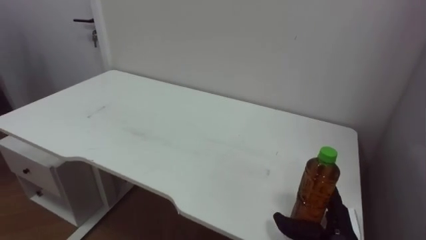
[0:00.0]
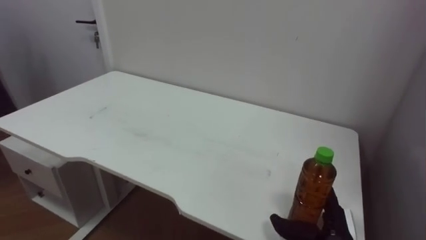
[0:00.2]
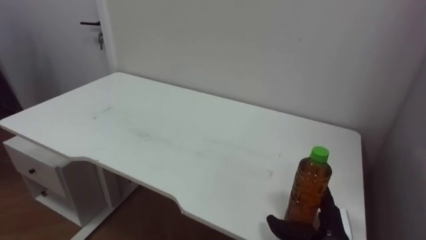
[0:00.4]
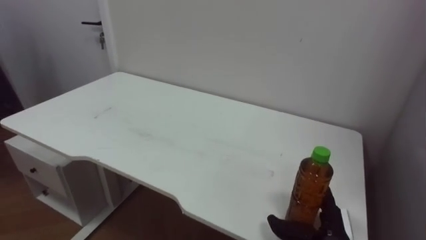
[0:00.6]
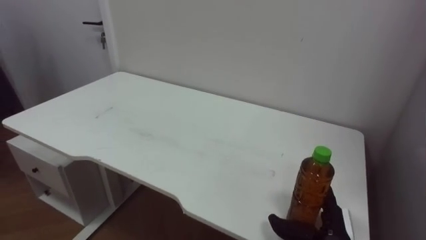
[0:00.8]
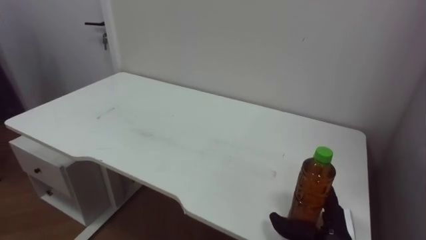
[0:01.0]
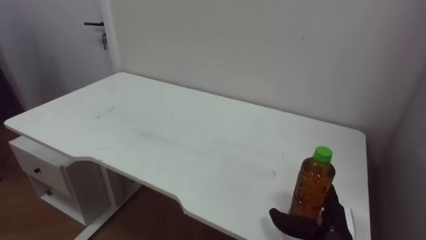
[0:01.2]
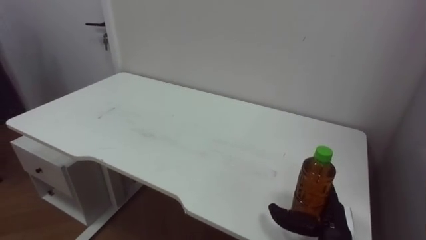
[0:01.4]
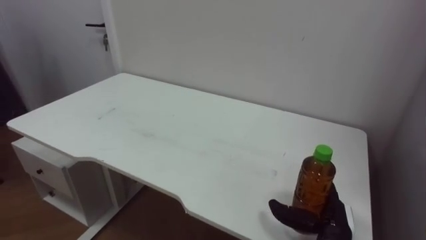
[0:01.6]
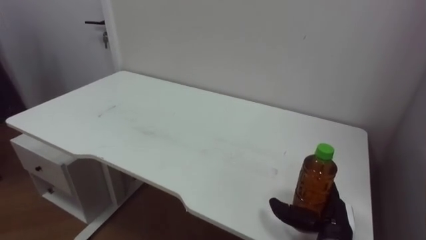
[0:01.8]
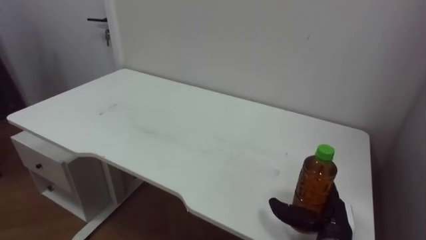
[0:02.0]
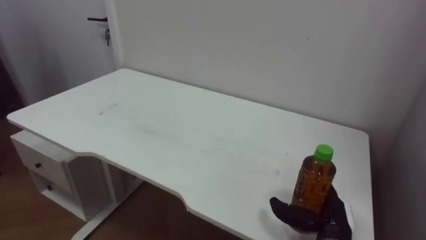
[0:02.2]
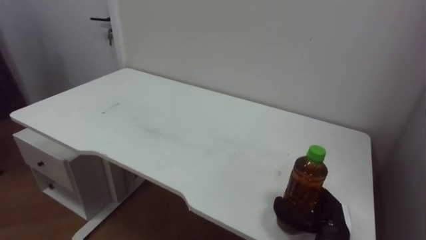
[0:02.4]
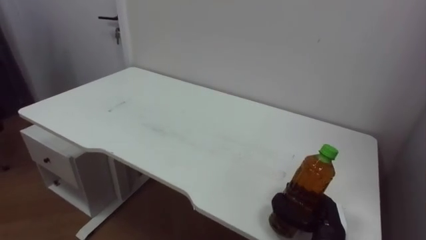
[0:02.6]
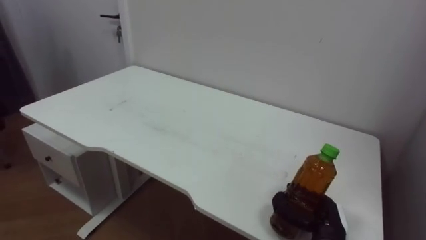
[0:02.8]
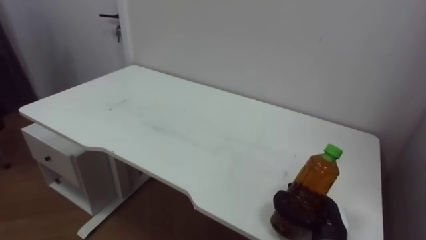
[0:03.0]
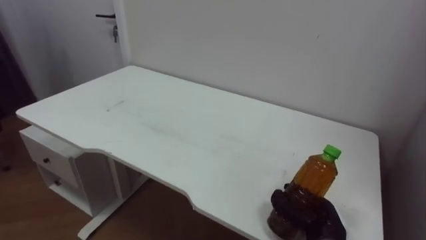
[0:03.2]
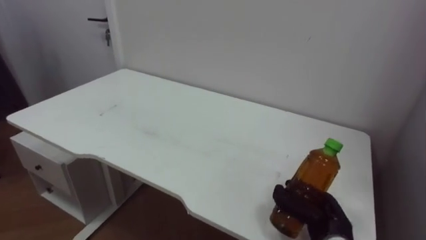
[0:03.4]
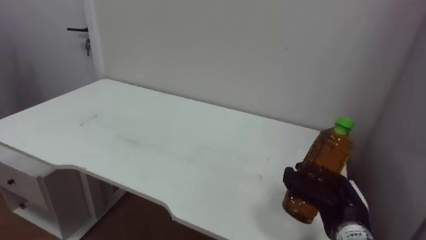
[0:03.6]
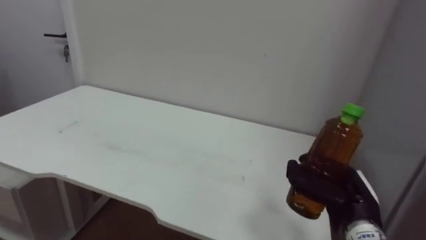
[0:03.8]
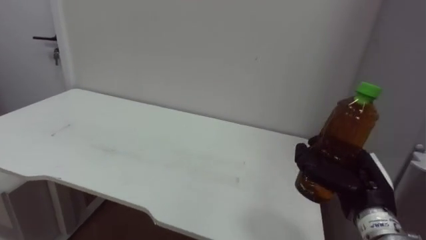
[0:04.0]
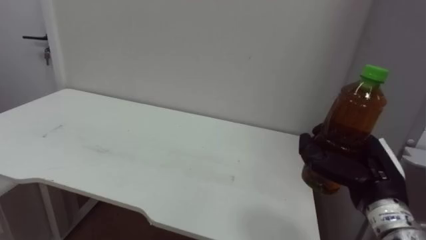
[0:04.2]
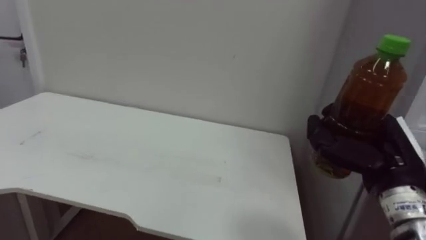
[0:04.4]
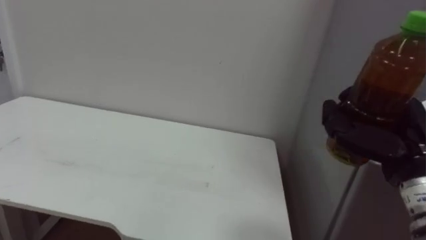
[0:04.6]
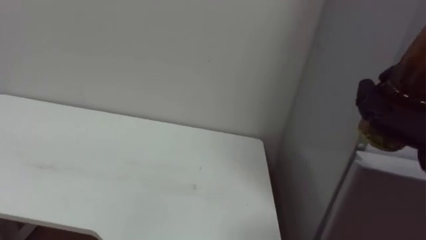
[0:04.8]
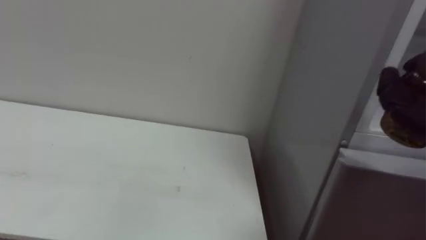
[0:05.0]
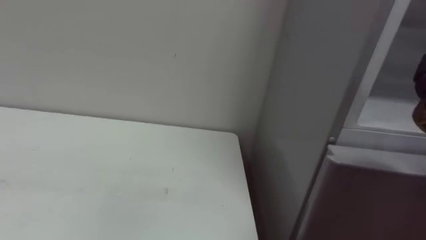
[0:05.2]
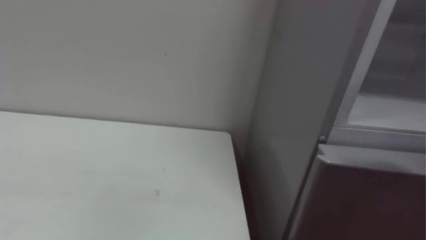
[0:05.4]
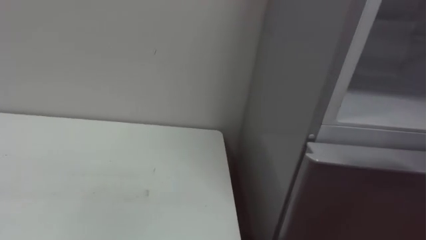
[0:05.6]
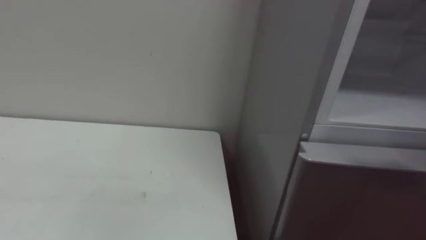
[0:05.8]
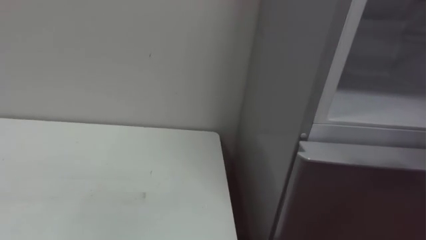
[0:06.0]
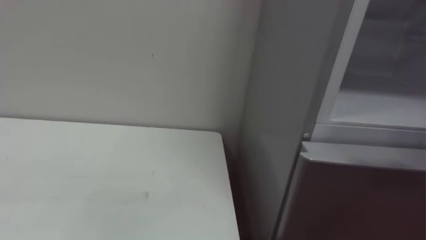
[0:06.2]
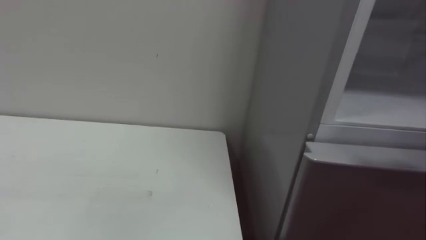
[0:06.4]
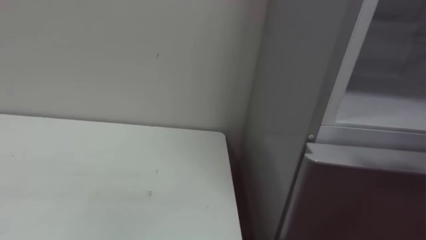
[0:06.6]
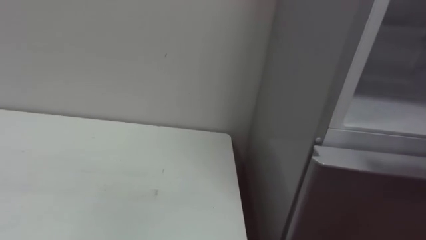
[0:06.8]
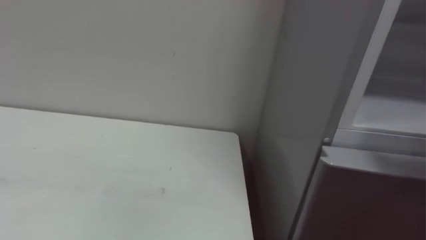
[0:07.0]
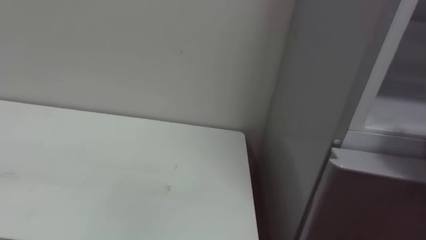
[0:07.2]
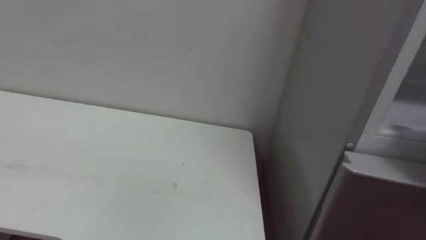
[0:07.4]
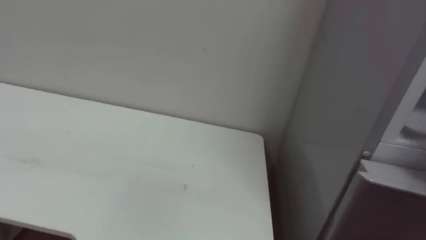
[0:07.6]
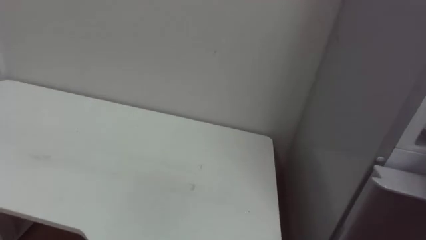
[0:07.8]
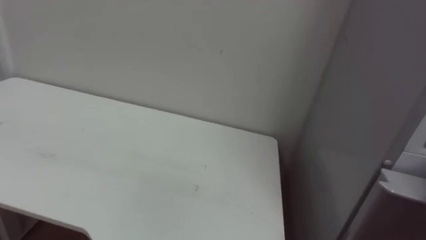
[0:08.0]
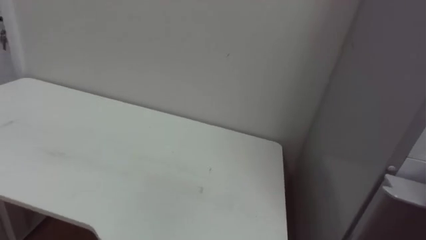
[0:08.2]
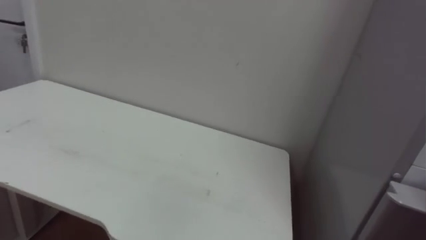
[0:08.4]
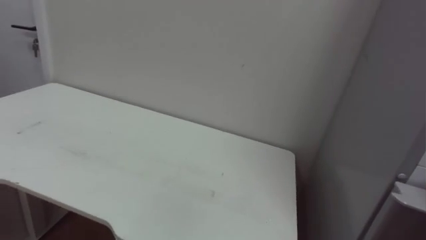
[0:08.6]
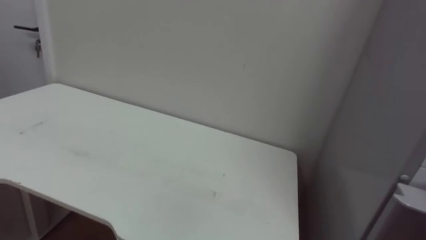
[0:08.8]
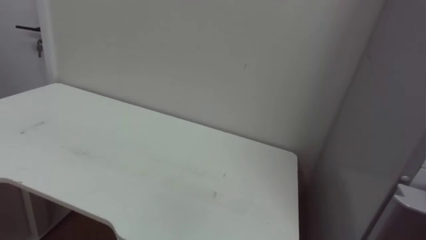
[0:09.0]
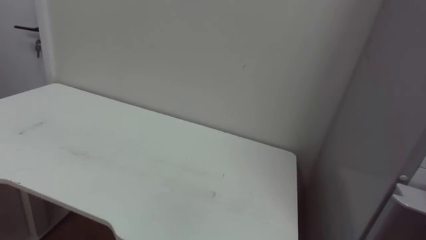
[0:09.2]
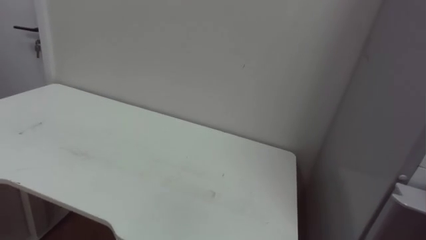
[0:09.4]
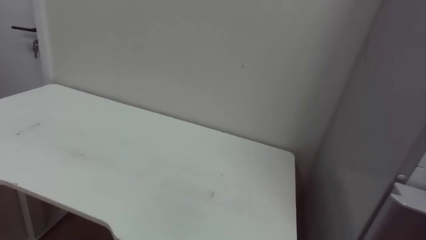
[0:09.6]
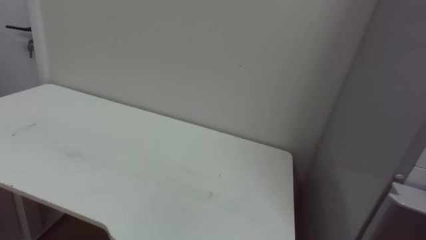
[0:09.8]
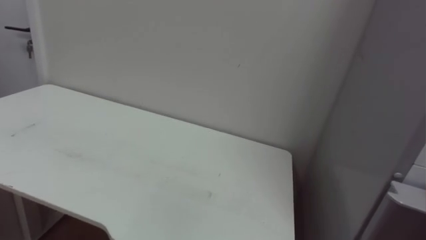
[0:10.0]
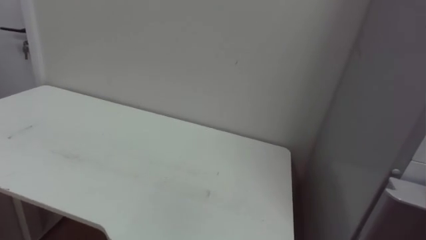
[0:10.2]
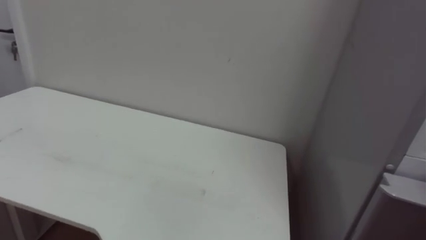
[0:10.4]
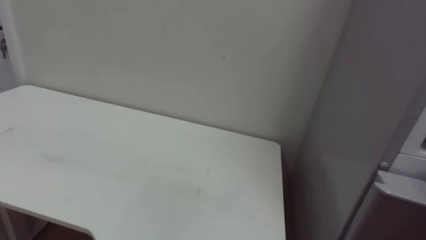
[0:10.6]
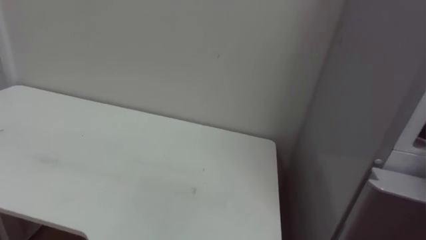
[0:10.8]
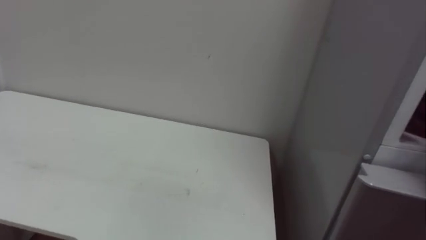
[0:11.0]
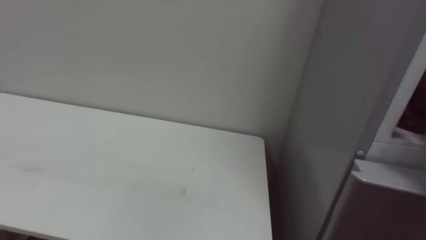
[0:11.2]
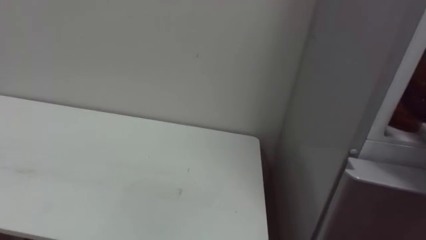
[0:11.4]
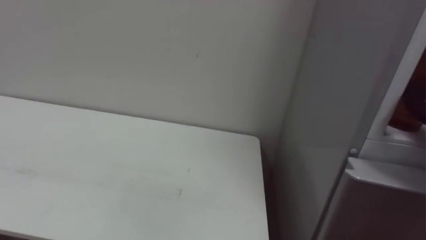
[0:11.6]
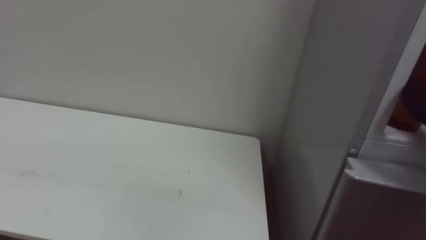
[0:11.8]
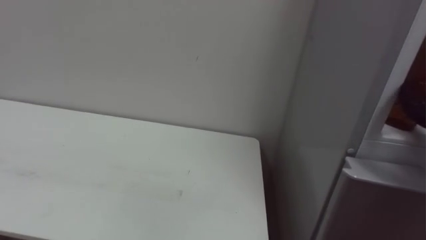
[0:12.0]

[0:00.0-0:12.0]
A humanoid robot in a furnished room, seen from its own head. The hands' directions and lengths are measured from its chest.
Task of the whole recording: Open the upper refrigerator door, put the drink from the table into the refrigerator, and then close the refrigerator door.
0:01.6 to 0:03.0: The right hand closes up.
0:03.0 to 0:04.4: The right hand shifts roughly 20 cm upward.

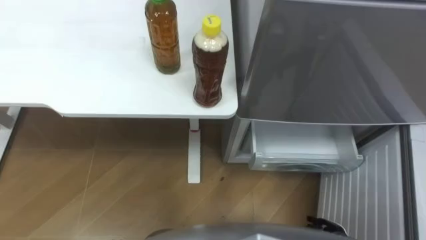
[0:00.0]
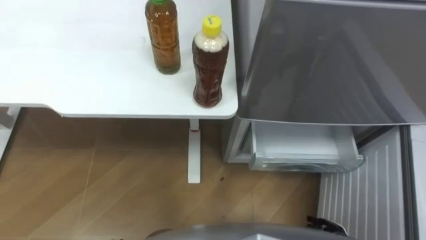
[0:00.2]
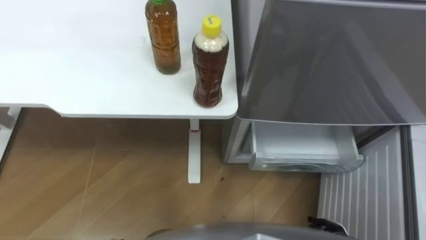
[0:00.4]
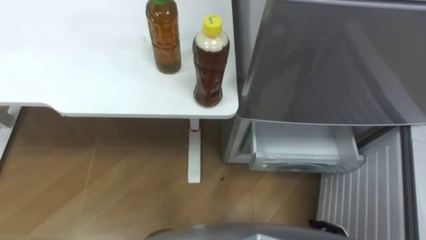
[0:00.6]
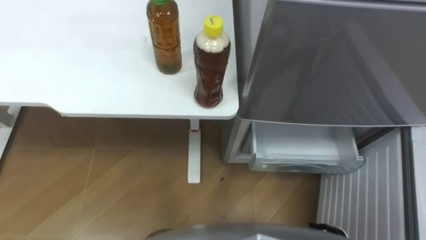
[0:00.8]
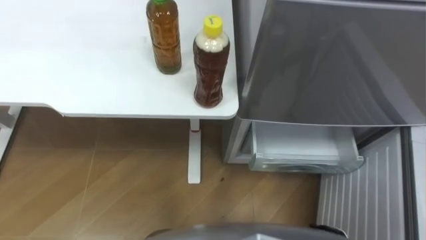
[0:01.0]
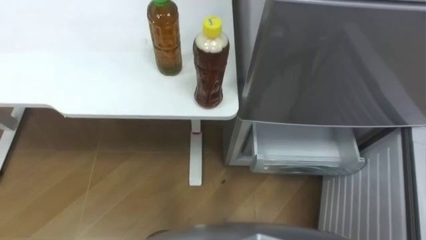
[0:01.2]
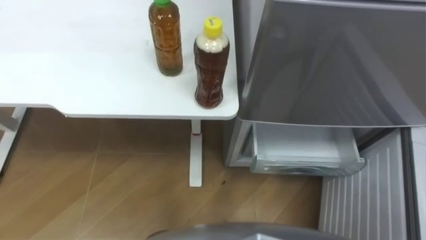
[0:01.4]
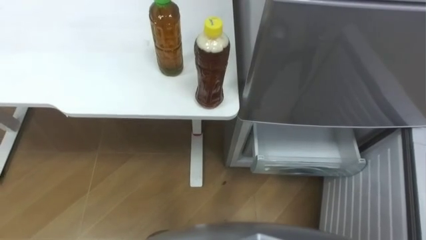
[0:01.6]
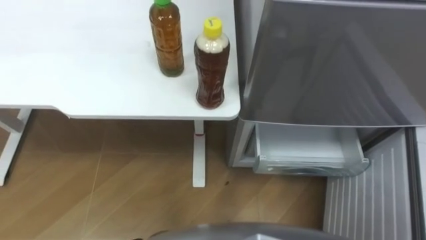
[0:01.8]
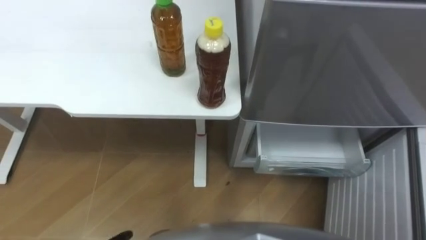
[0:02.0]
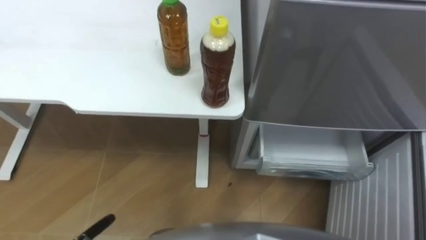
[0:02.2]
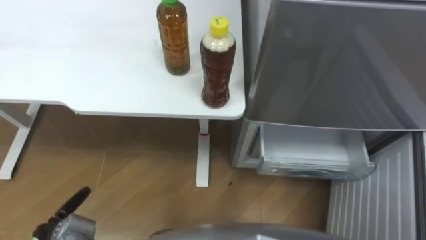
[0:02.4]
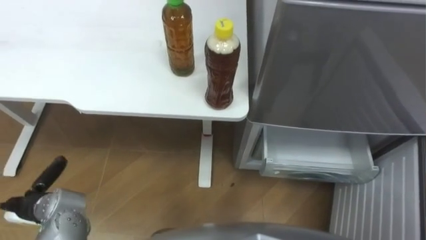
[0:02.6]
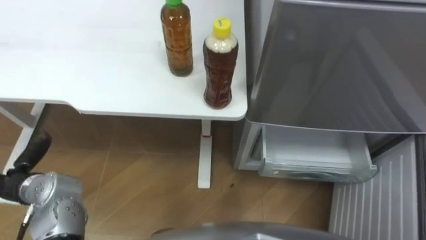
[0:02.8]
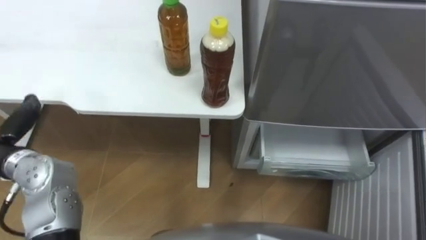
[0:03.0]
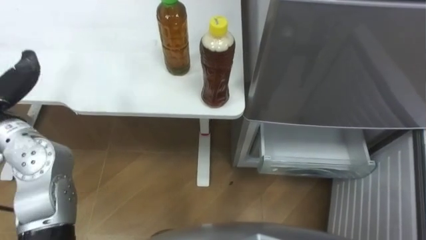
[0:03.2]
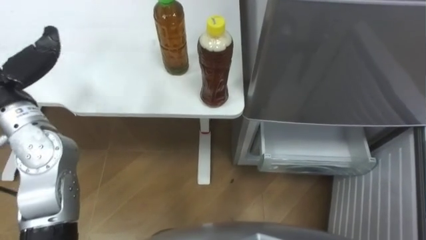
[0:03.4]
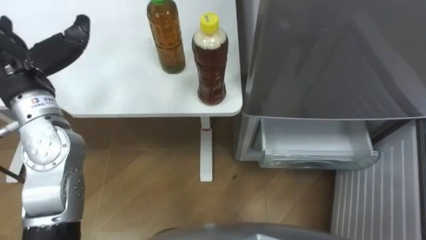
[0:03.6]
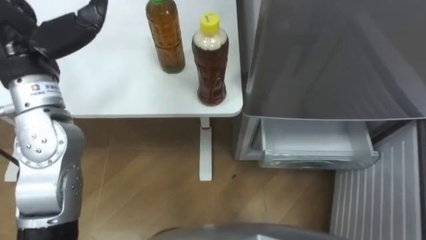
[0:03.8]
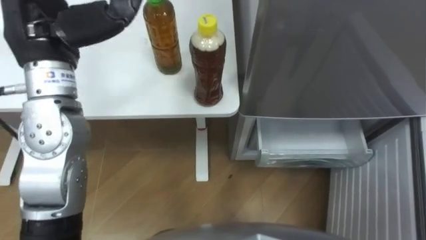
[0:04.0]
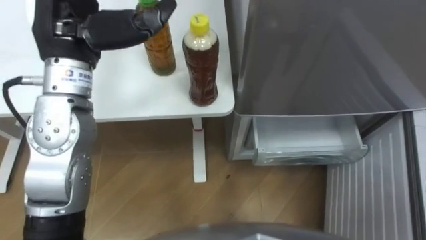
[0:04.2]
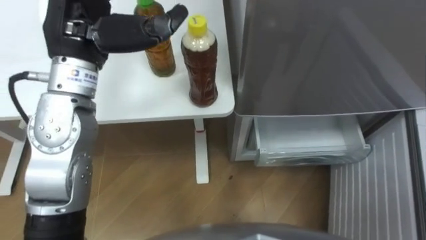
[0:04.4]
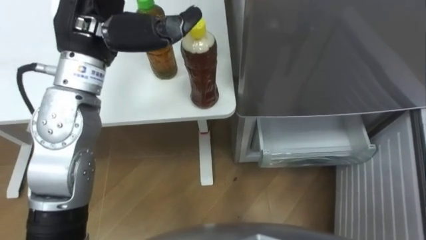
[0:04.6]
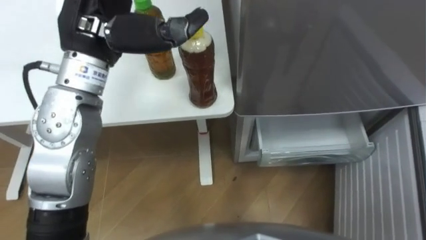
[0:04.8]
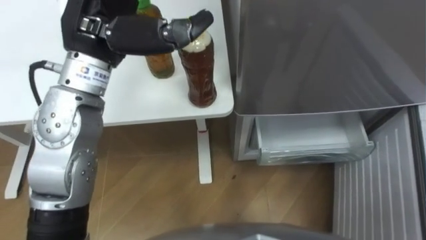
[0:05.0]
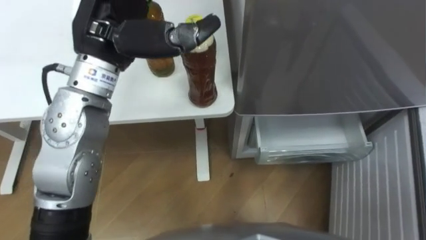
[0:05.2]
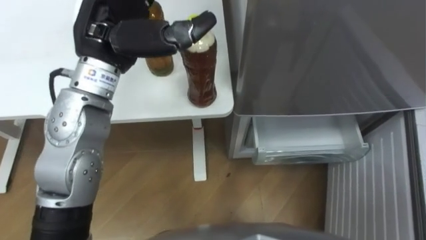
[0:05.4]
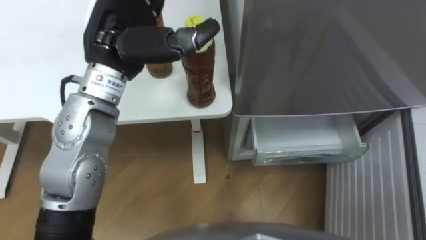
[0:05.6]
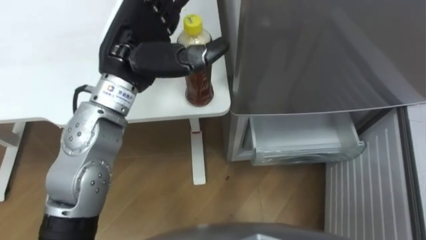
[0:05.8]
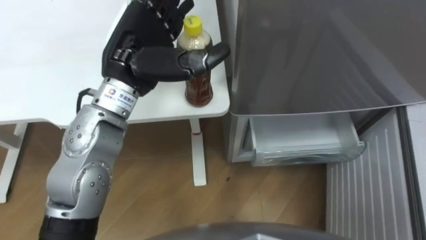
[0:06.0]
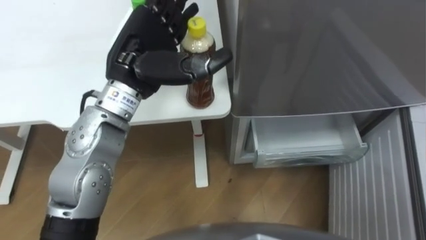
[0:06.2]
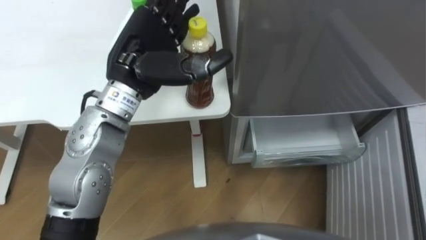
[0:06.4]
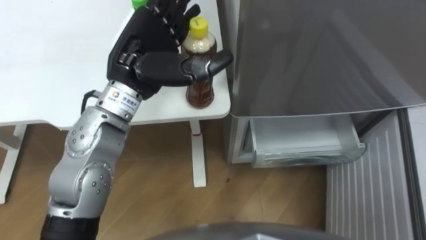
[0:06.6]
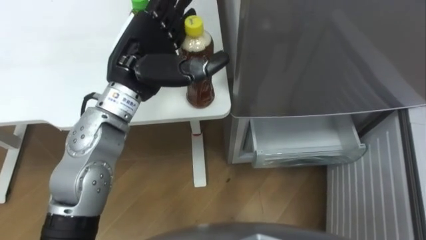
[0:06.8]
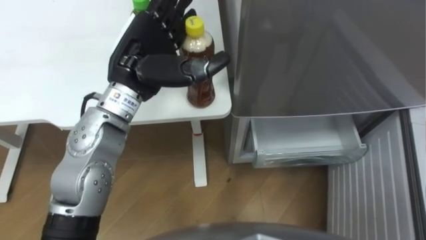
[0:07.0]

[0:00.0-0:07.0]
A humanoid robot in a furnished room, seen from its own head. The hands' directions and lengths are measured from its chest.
Task of the whole recording: Place the drink on the table on the bottom shelf of the refrigerator, then close the drawer and the refrigerator door.
0:04.2 to 0:05.6: The left hand is displaced to the right by some 5 cm.
